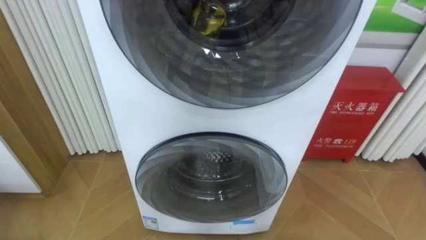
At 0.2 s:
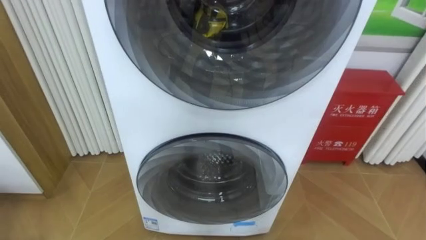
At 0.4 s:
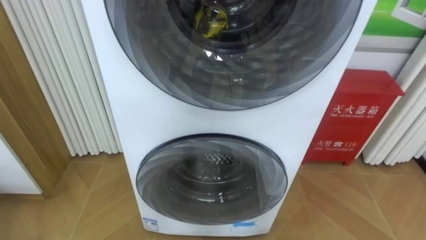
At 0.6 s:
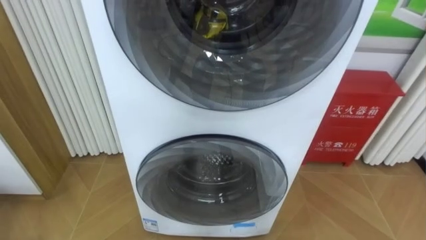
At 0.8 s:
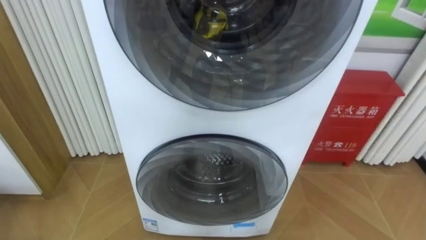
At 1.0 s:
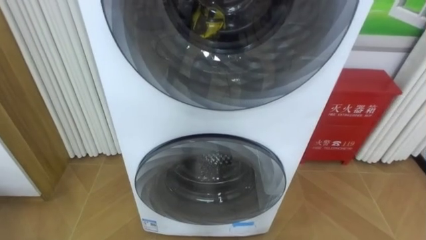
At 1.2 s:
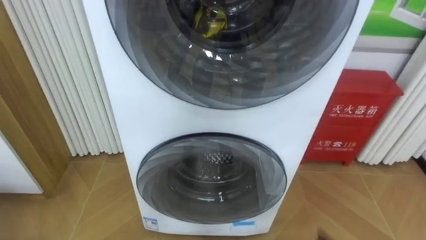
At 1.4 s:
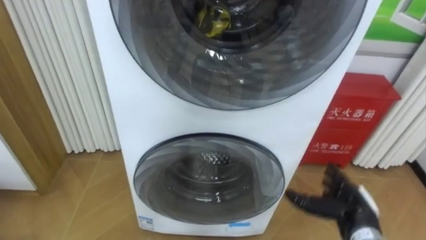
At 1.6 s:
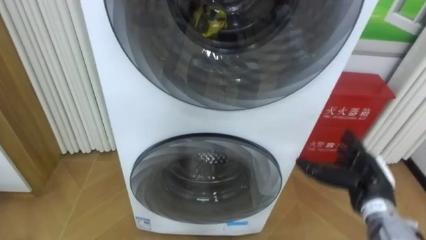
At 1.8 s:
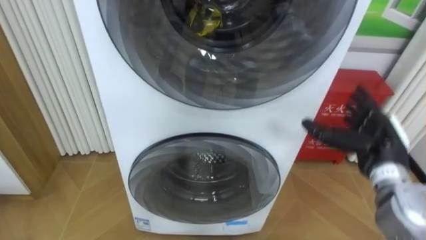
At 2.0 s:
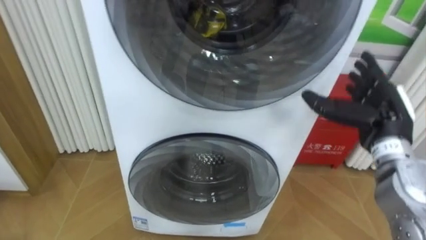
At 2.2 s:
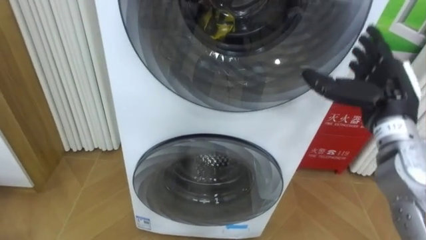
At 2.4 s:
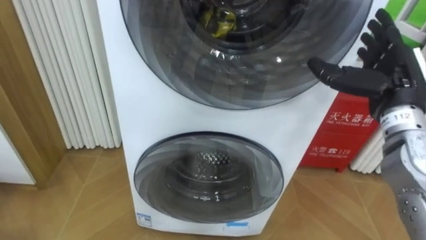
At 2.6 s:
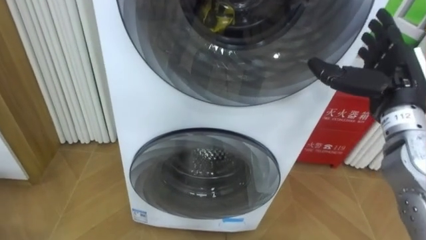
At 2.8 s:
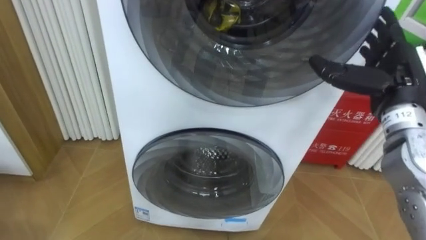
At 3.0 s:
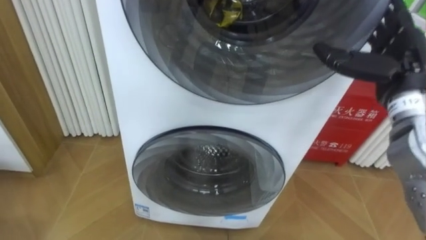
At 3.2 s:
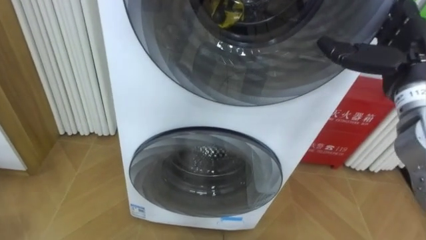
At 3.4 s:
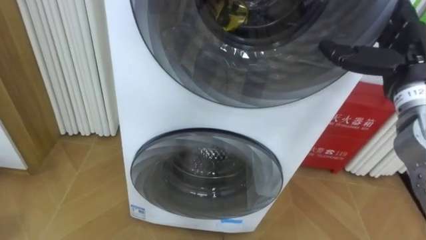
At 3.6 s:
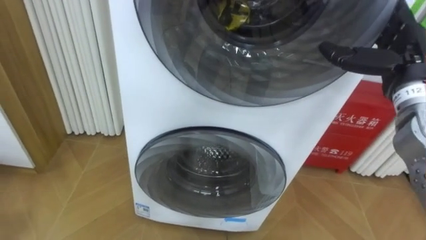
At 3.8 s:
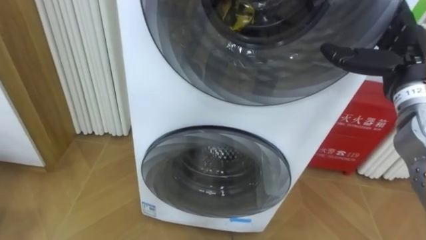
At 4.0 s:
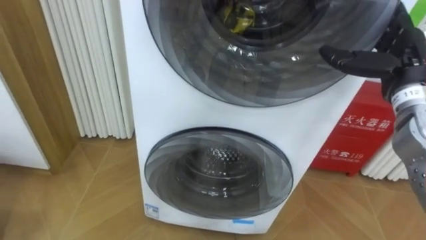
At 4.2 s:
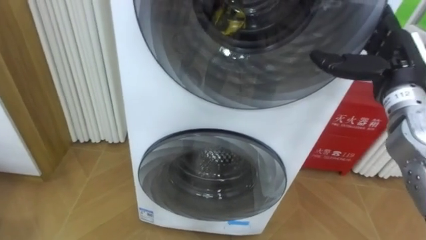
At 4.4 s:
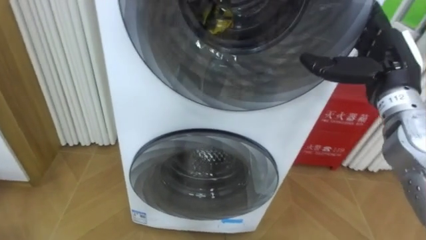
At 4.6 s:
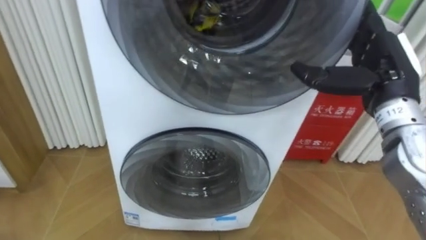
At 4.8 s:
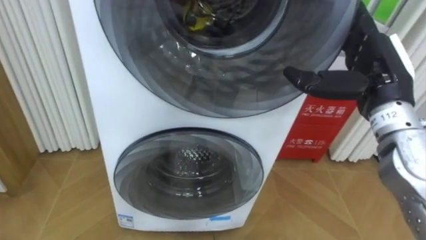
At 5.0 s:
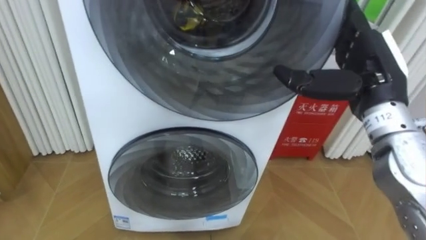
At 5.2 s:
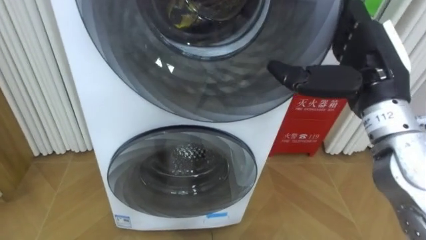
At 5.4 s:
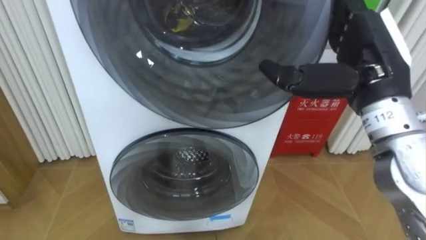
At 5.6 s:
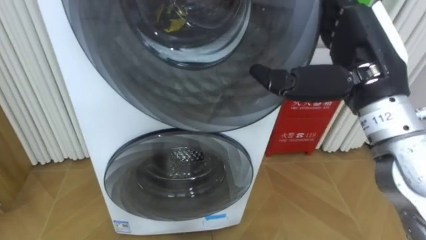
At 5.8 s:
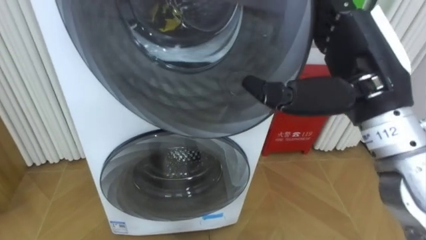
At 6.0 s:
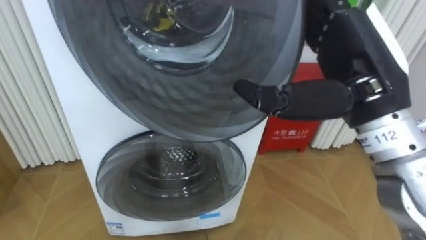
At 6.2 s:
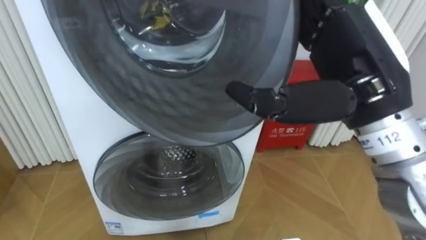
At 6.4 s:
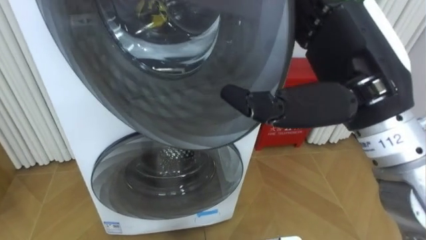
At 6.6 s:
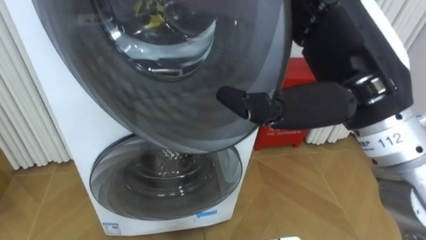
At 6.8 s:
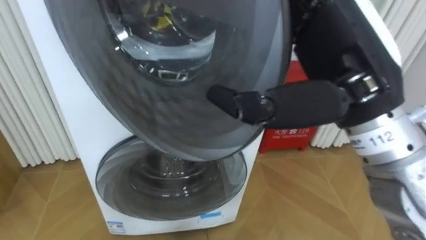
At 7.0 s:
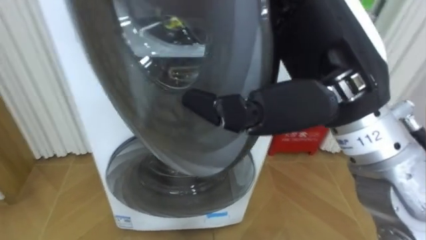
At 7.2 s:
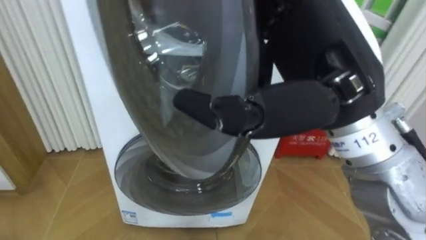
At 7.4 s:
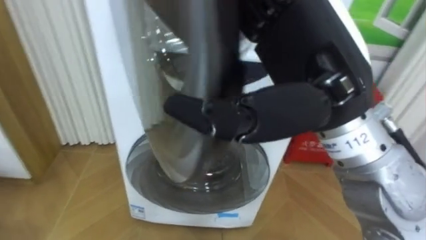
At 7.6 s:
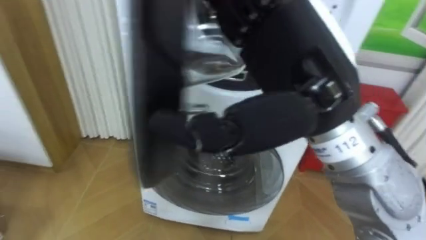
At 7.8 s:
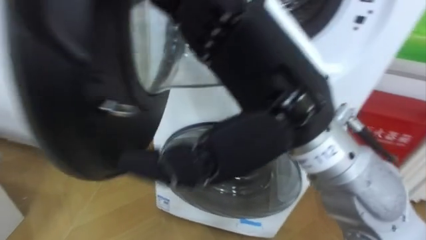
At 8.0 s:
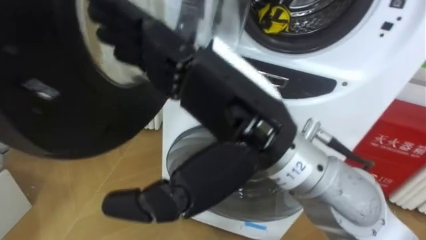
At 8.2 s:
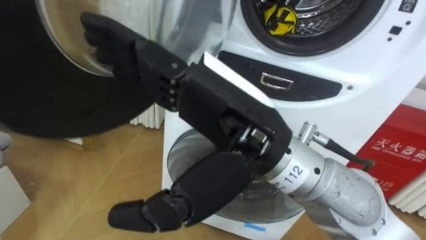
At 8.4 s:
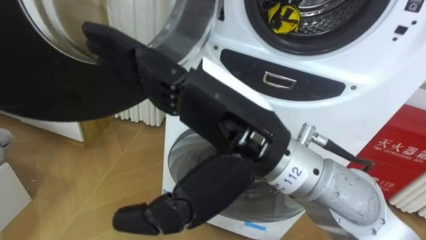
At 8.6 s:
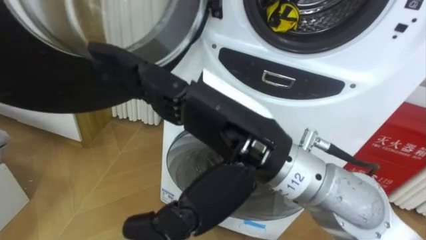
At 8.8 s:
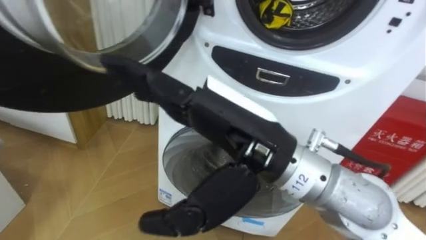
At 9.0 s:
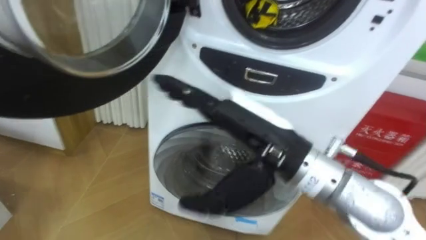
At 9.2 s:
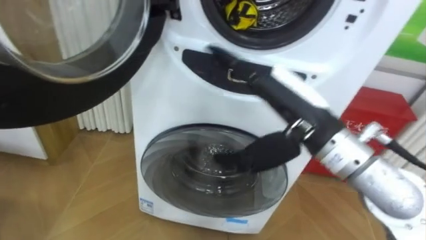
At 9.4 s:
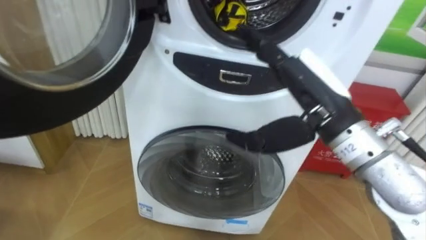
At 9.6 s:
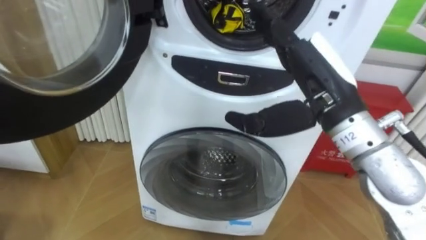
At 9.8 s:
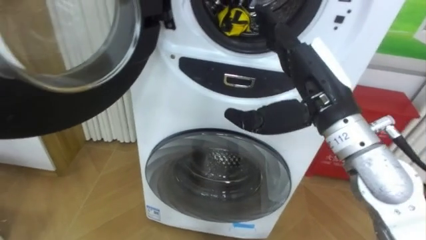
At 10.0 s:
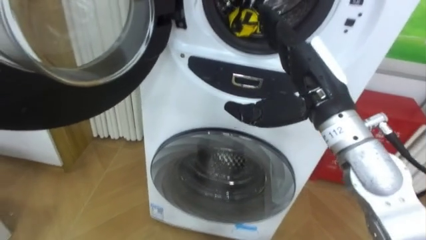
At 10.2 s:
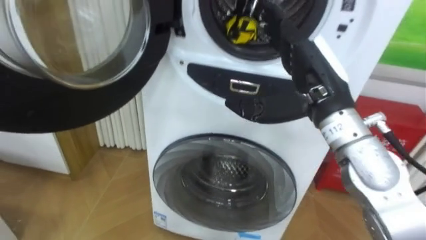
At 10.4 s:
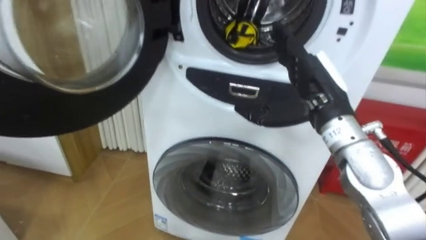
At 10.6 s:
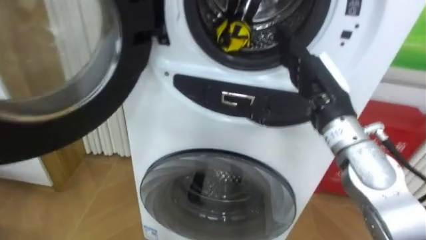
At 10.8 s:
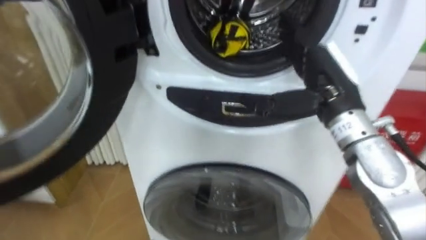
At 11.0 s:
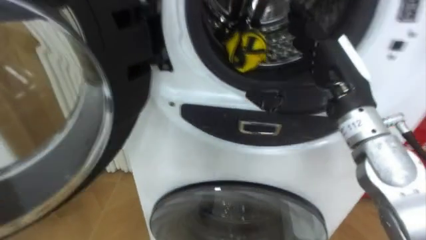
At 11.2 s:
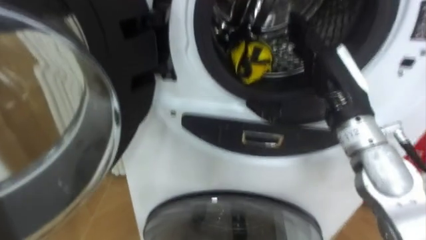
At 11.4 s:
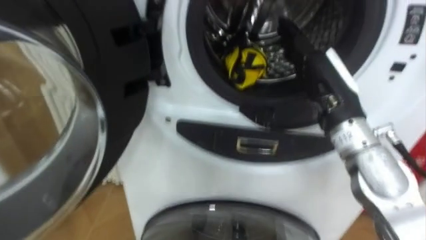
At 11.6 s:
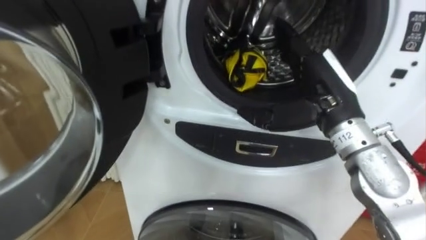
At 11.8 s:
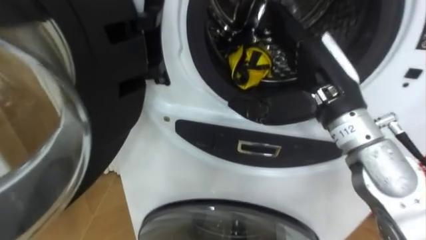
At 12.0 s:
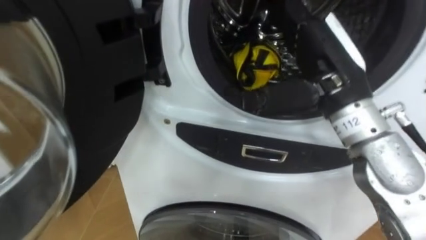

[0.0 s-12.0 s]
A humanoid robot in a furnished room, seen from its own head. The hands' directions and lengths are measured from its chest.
Task of the whole recording: Open the washing machine door, take out the yellow clothes, place them in the box on the right, and close the washing machine door.
1.6 to 3.0 s: The right hand goes some 20 cm upward.
4.4 to 6.0 s: The right hand is displaced backward, to the left and upward by some 15 cm.
6.0 to 7.6 s: The right hand heads to the left, covering about 10 cm.
7.6 to 9.0 s: The right hand is displaced downward by some 10 cm.
9.0 to 10.4 s: The right hand goes about 15 cm to the right and forward.
10.4 to 12.0 s: The right hand goes some 5 cm upward.

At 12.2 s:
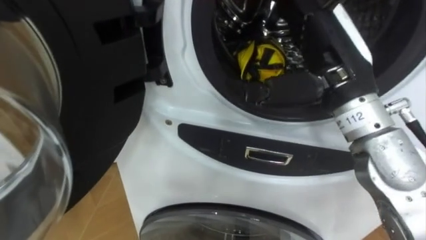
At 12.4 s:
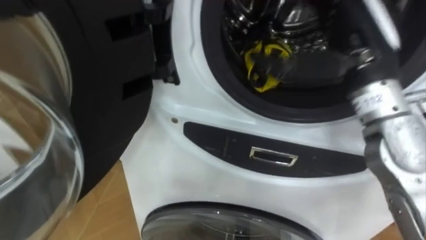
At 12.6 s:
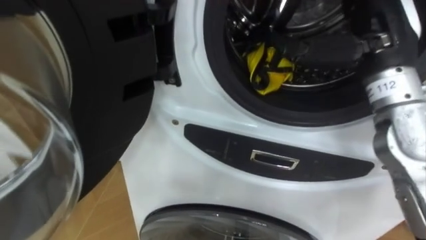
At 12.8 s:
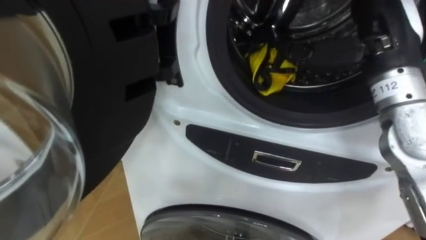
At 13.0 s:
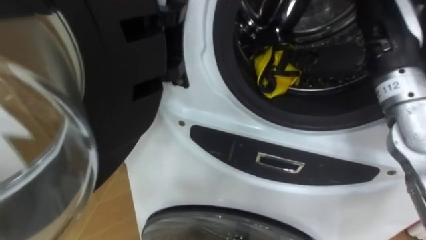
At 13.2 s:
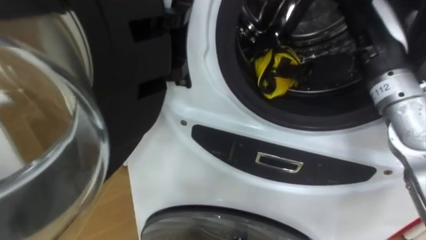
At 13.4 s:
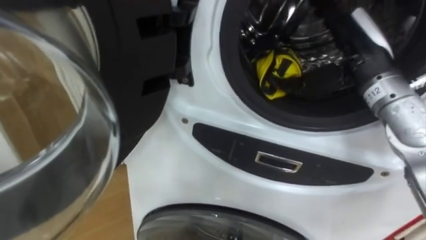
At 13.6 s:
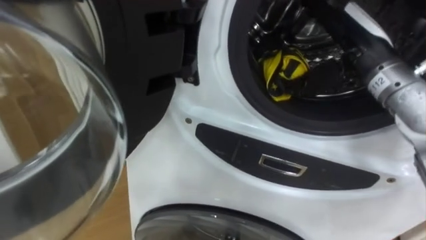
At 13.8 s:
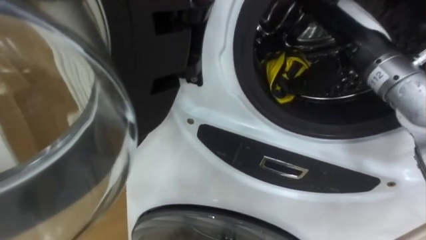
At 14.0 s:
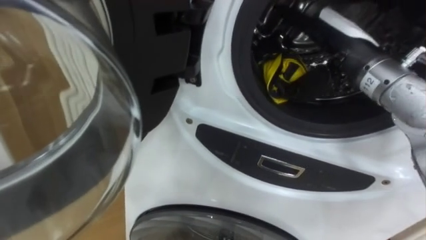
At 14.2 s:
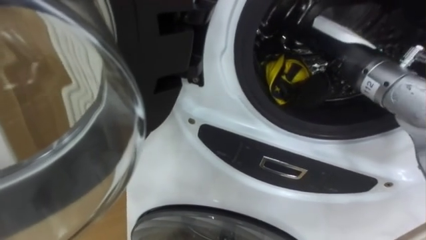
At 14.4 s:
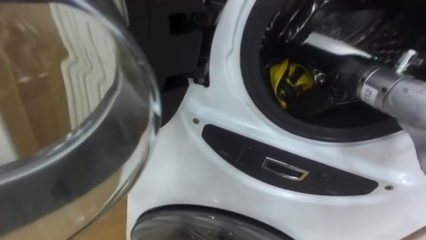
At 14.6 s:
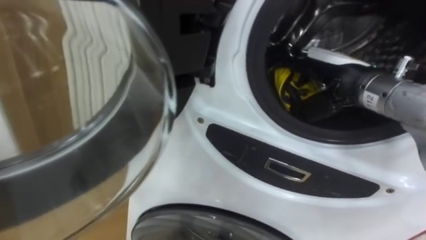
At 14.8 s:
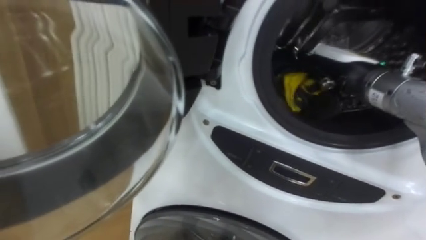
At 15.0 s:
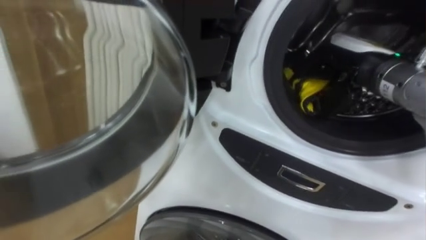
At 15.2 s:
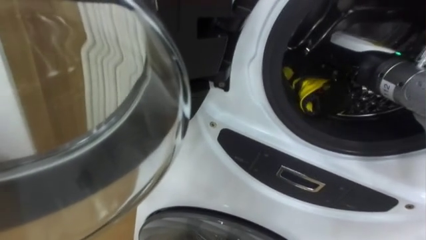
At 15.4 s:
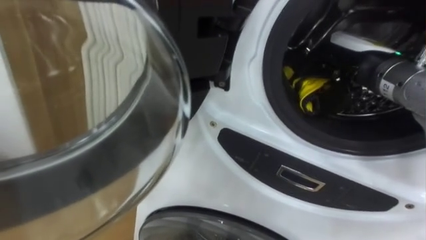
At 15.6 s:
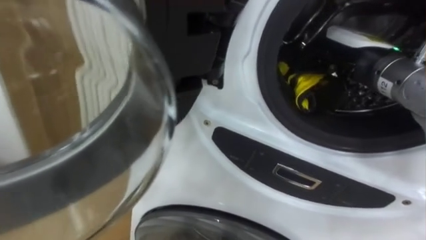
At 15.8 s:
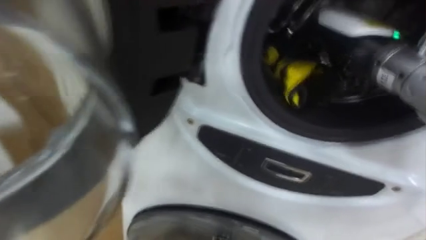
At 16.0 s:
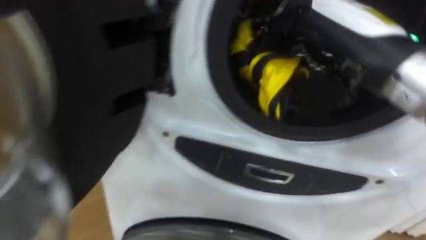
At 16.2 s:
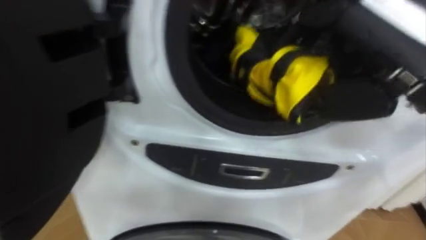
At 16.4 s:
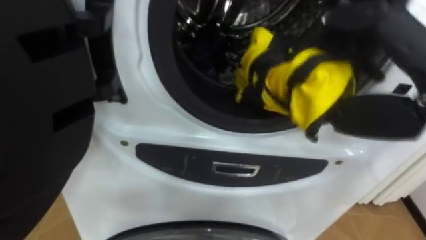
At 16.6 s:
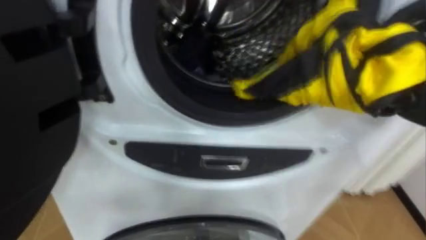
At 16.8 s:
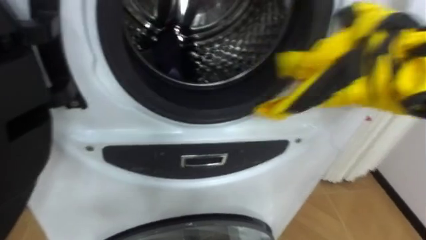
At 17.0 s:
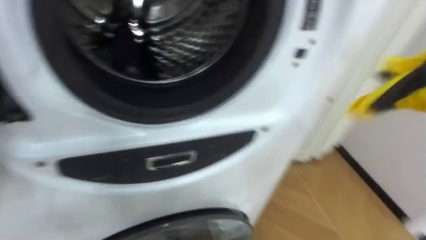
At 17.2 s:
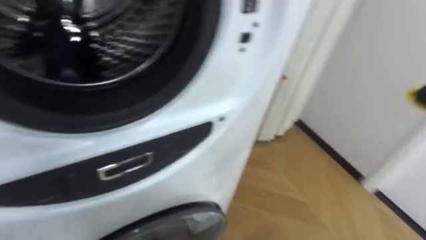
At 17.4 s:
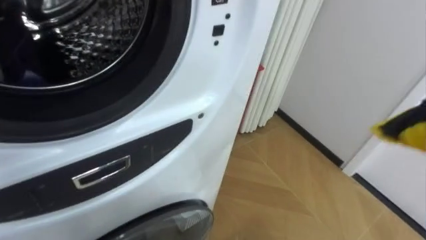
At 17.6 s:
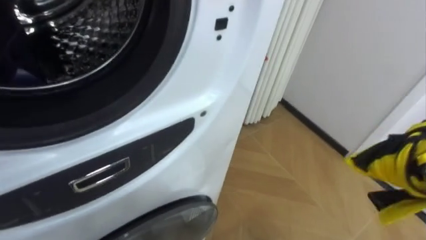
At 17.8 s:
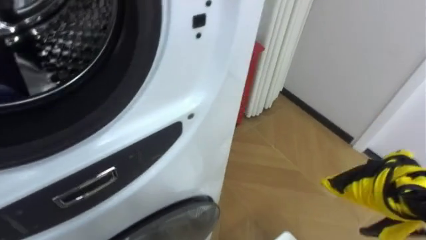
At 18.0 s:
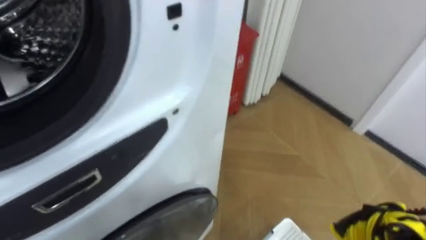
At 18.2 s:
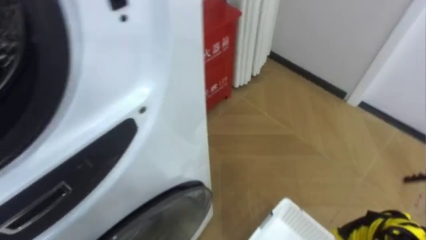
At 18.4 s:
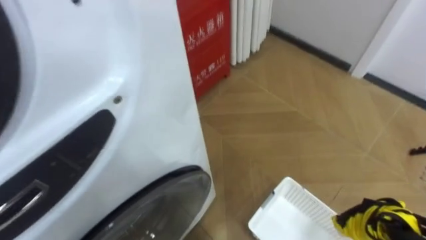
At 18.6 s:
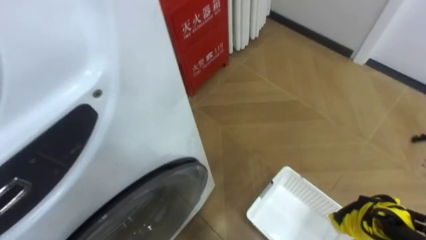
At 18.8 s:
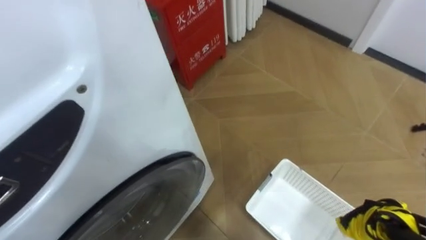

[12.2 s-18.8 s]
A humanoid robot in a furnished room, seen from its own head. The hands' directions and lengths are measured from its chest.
Task of the whole recording: Open the washing machine door, take out the yellow clothes, place them in the box on the right, and close the washing machine door.
12.2 to 13.8 s: The right hand goes some 10 cm forward and to the right.
13.8 to 15.4 s: The right hand closes.
